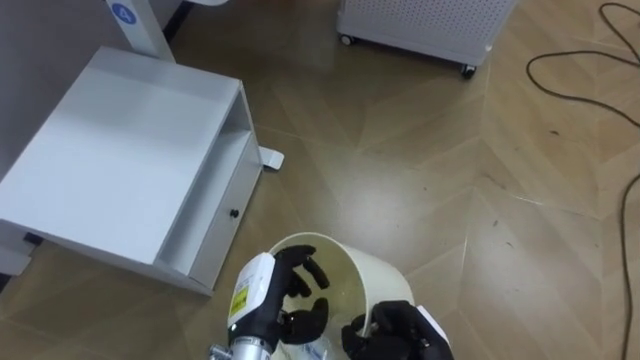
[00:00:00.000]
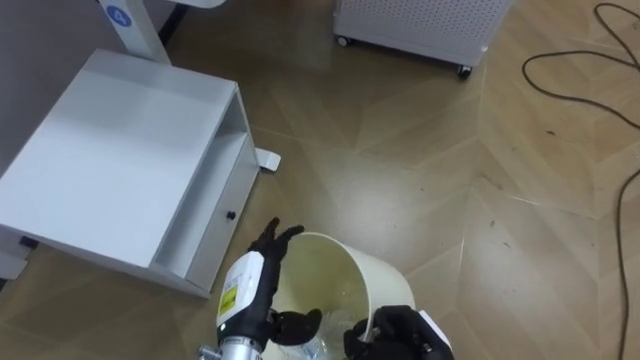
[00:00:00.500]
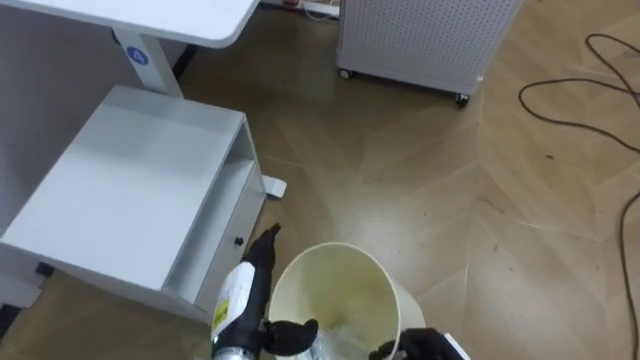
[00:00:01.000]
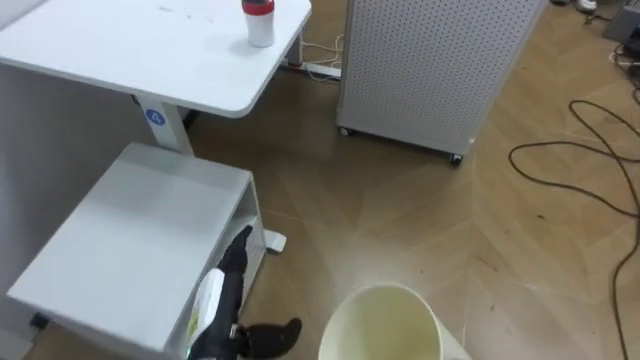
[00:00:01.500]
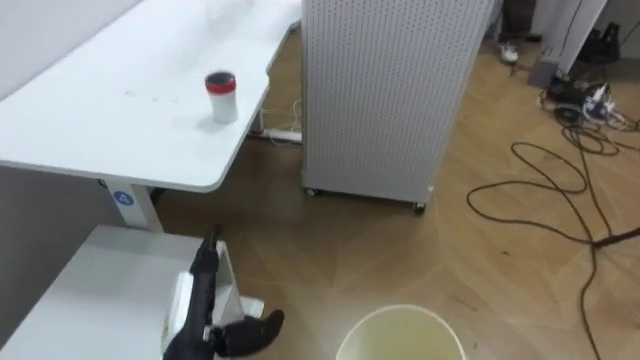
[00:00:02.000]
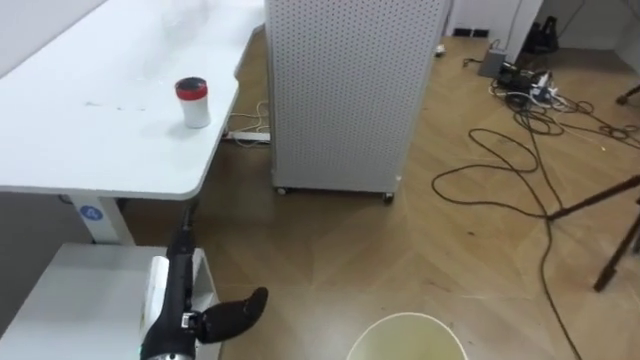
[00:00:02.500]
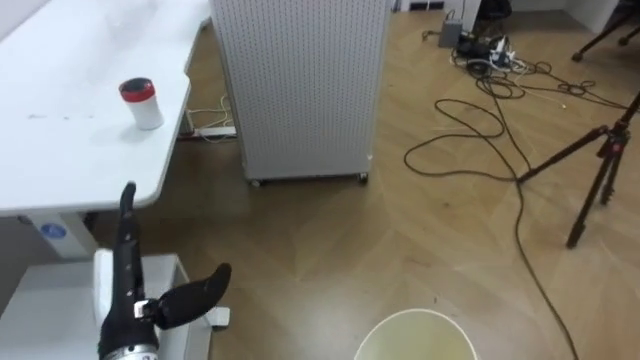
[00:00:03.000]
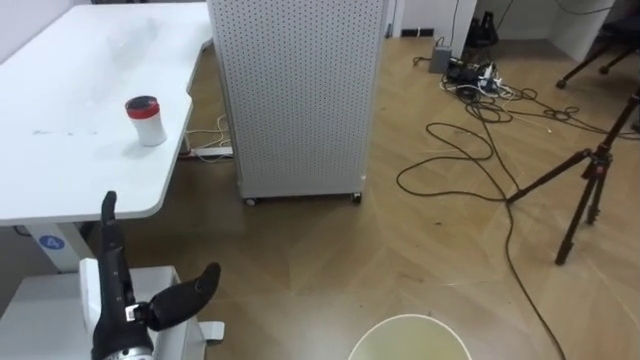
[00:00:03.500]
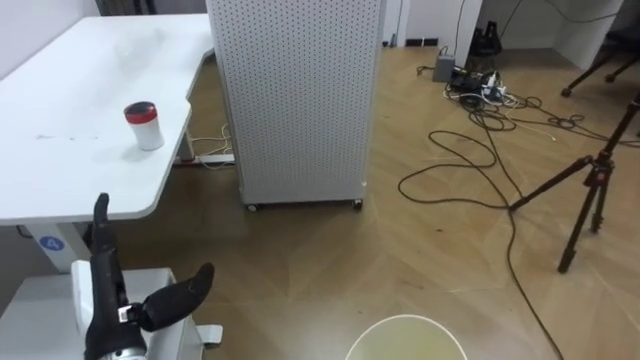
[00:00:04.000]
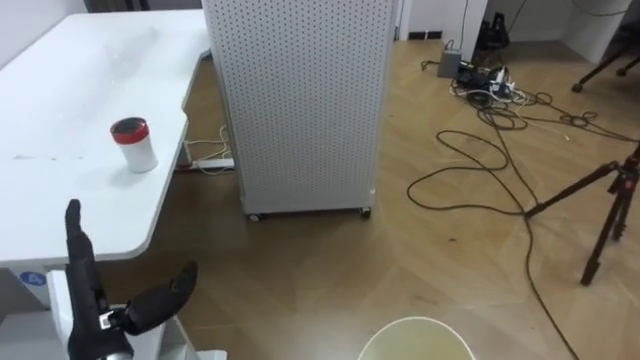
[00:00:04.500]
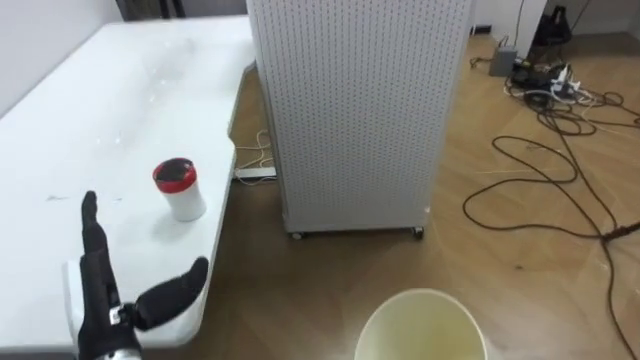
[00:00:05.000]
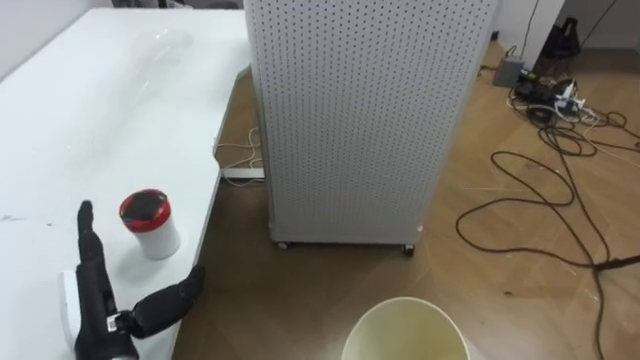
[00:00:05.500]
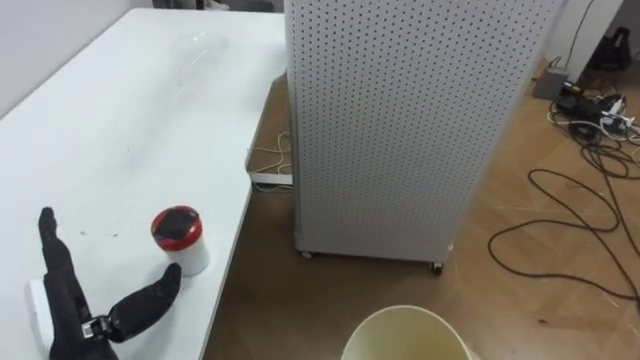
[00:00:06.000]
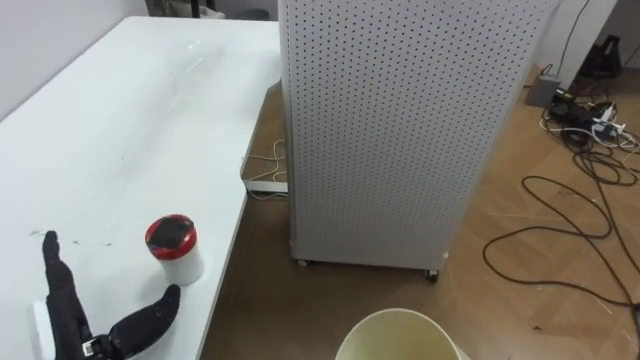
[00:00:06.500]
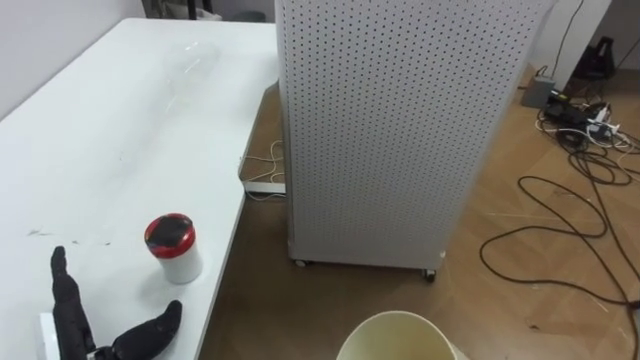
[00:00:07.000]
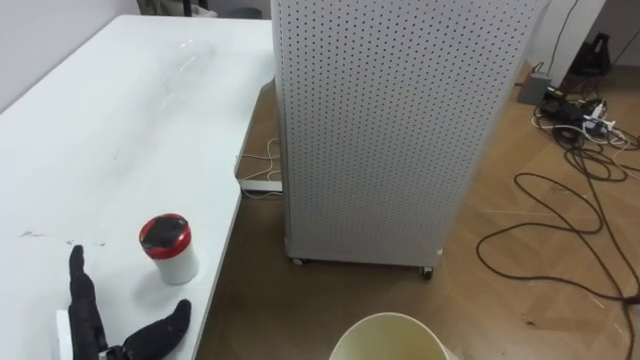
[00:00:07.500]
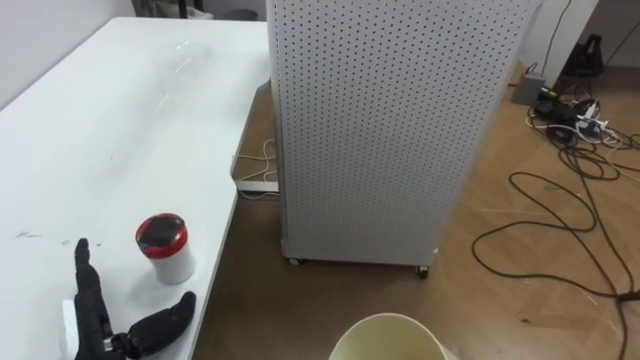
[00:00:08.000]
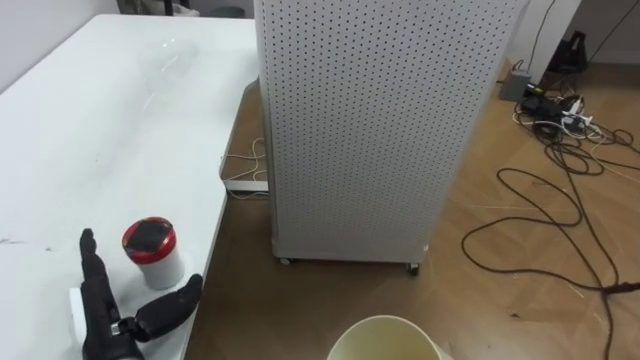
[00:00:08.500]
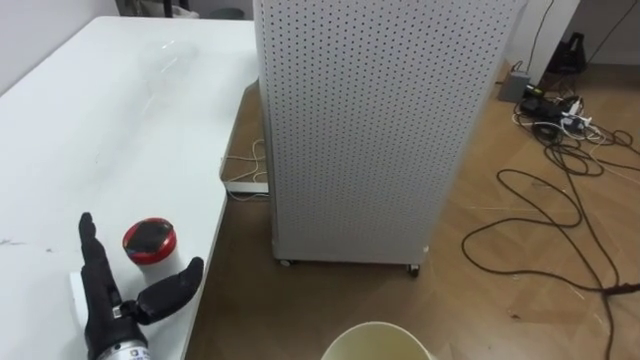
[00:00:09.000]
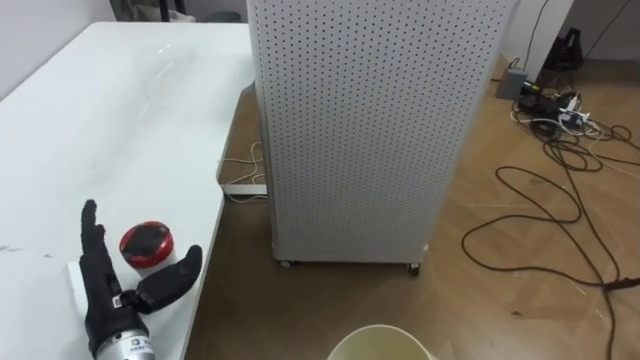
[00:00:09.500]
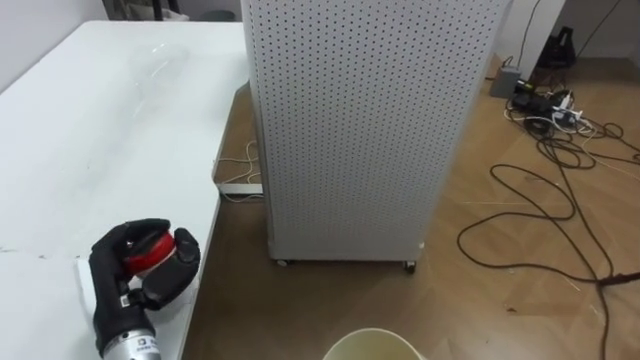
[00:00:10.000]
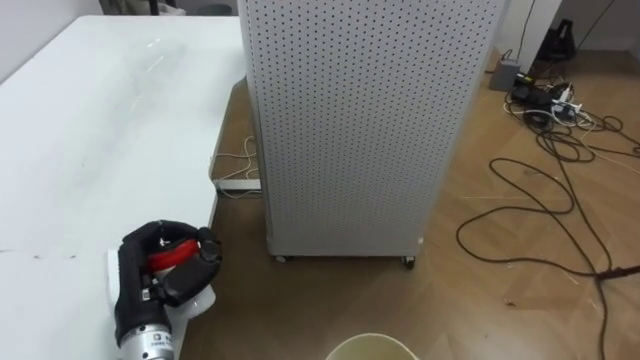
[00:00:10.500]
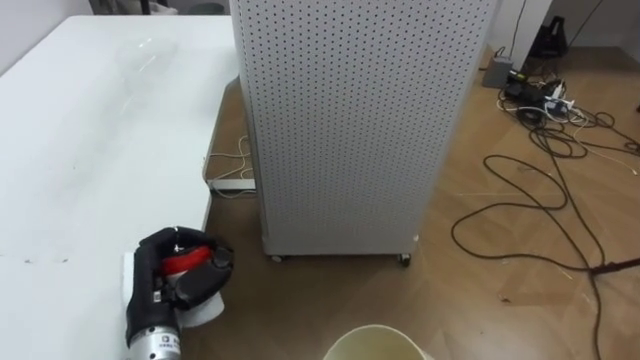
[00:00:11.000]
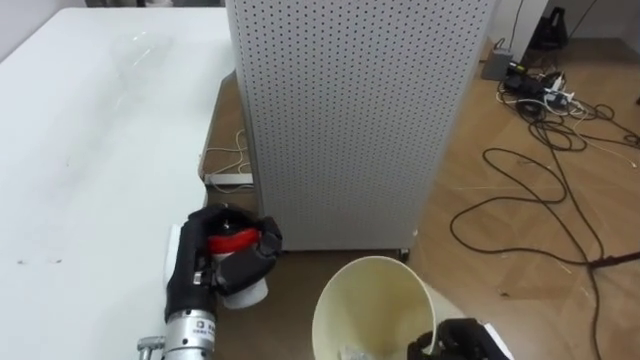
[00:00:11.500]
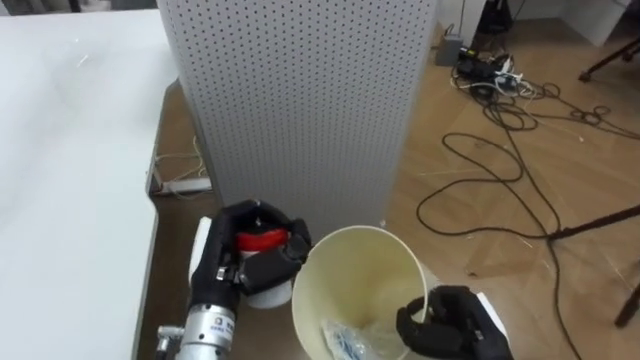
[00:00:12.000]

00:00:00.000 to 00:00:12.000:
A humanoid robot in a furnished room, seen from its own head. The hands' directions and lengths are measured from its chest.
Task of the whole recording: Pick up the light blue package, the candy box, and the dark blue package separately, and put them into the trash can held in your right hand.
00:00:00.000 to 00:00:02.000: The left hand travels to the left by roughly 10 cm, and opens its fingers.
00:00:02.000 to 00:00:04.000: The robot's body swings about 20 degrees to its right. The left hand heads to the left, covering about 10 cm.
00:00:08.000 to 00:00:10.000: The left hand ends up approximately 5 cm from where it was, and closes up.
00:00:10.000 to 00:00:12.000: The left hand shifts roughly 10 cm to the right.

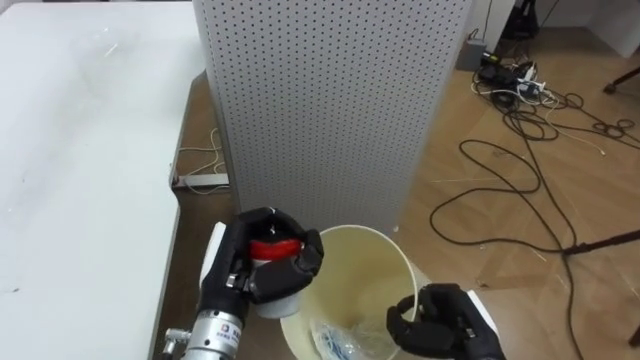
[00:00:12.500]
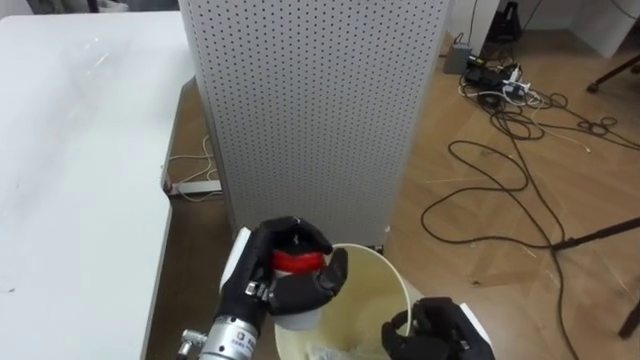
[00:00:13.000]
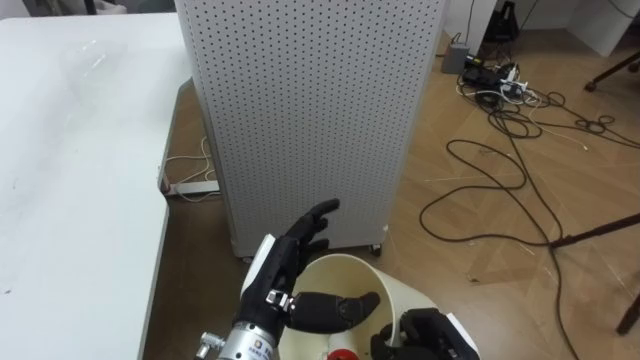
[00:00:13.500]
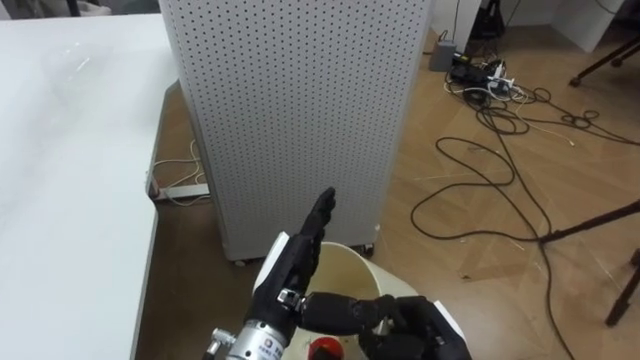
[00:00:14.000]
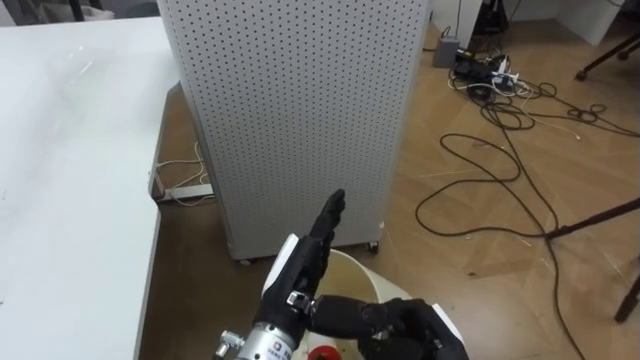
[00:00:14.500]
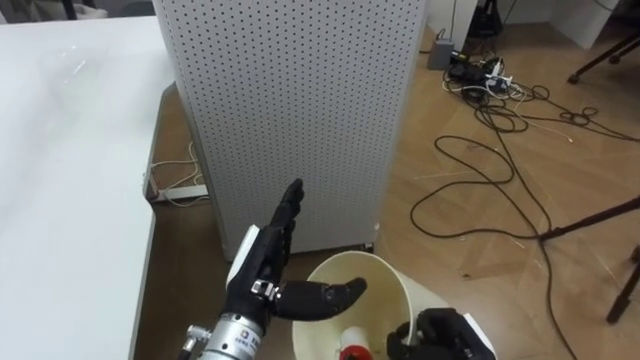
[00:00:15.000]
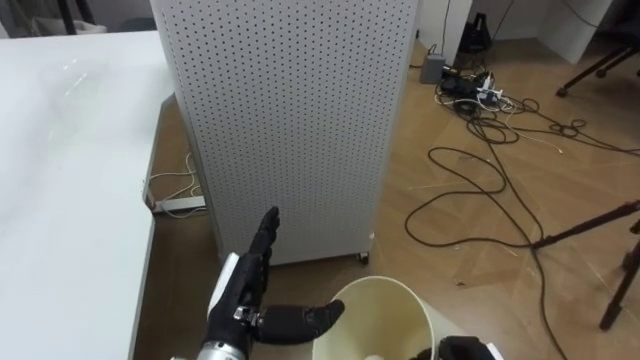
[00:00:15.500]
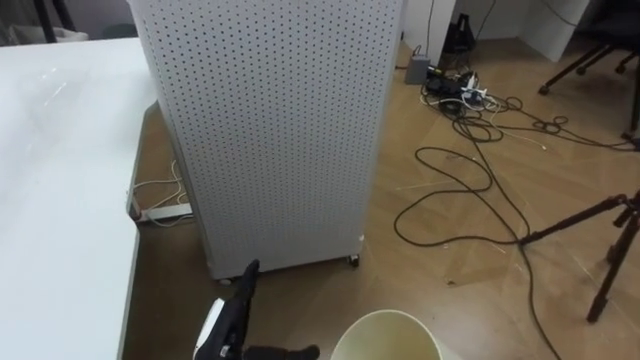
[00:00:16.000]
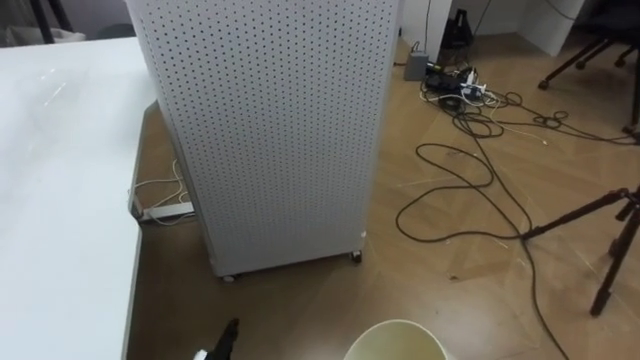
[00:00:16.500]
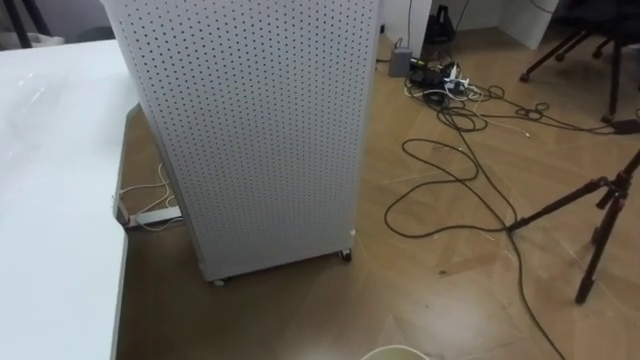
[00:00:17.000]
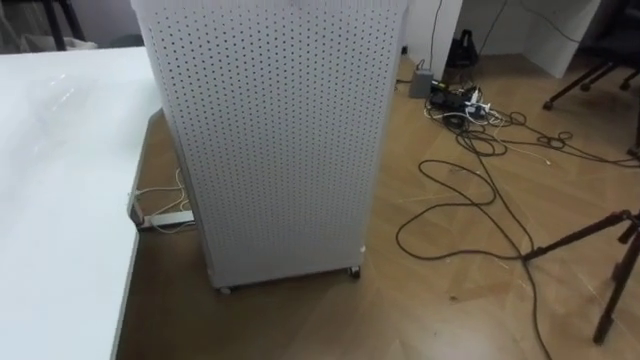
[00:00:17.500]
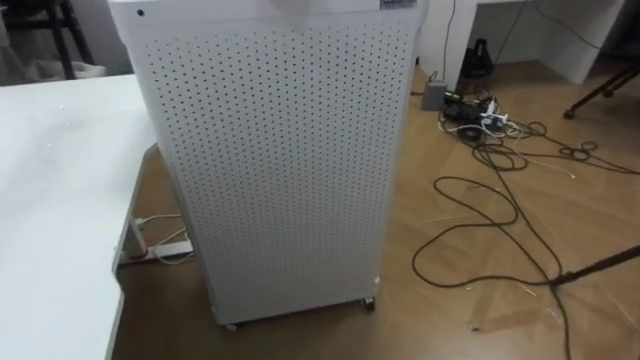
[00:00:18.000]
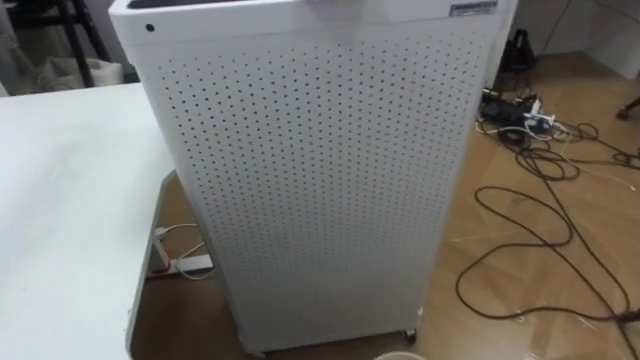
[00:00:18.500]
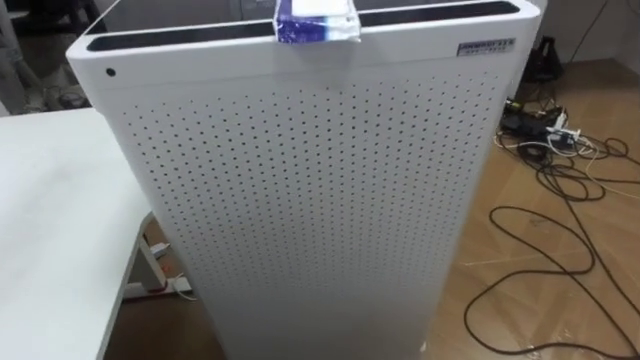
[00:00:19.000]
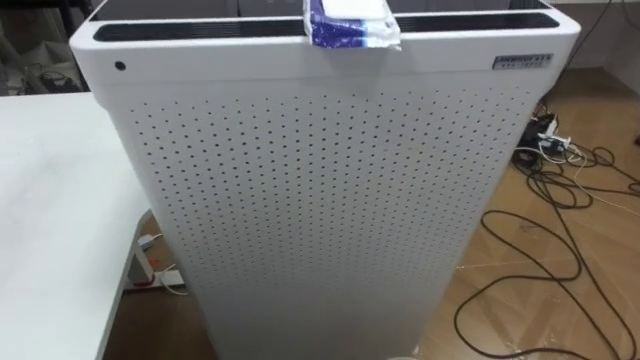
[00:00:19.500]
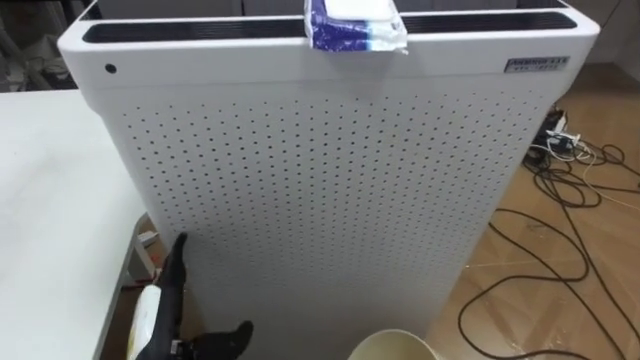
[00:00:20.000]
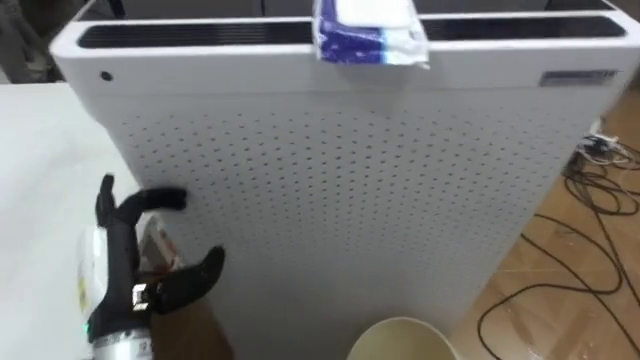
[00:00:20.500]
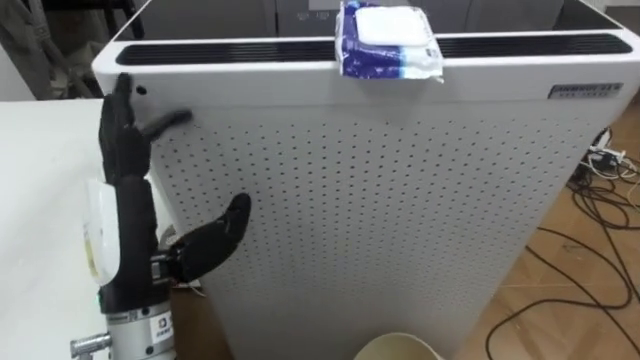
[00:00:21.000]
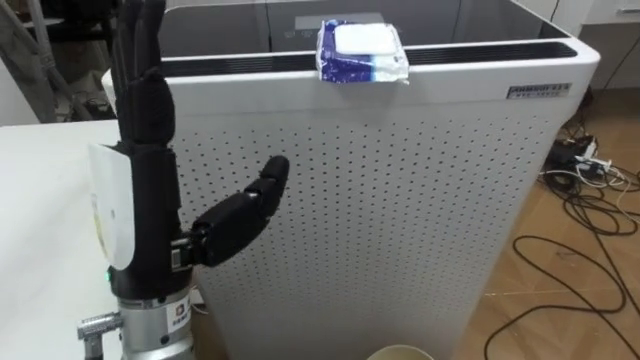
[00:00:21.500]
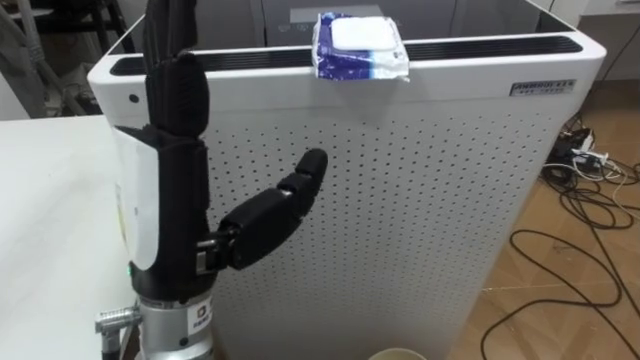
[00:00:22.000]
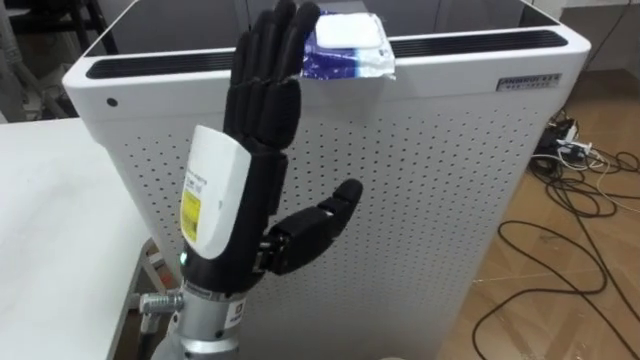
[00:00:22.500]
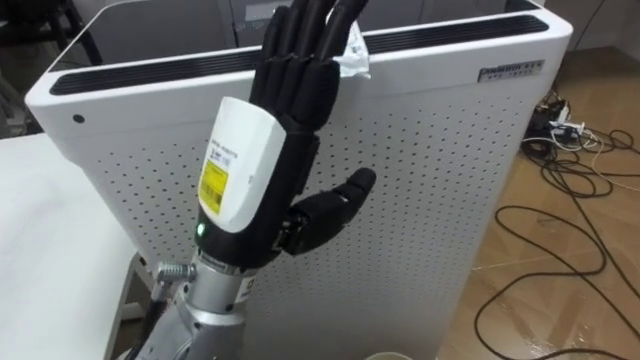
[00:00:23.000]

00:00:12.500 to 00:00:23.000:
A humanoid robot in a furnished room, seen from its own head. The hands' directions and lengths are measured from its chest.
Task of the whole recording: Pick up the light blue package, the candy box, and the dark blue package separately, and put them into the trash can held in your right hand.
00:00:12.500 to 00:00:14.500: The left hand shifts some 5 cm to the right, and opens up.
00:00:21.000 to 00:00:23.000: The left hand is displaced to the right and upward by approximately 15 cm.
